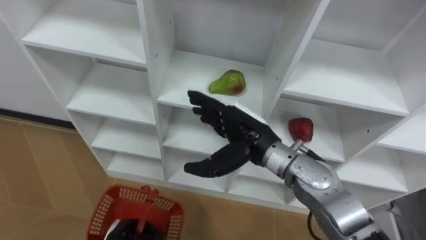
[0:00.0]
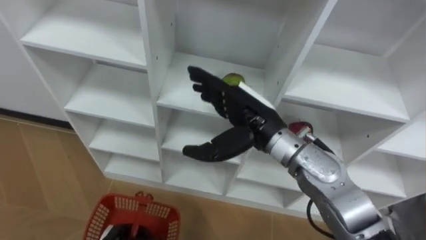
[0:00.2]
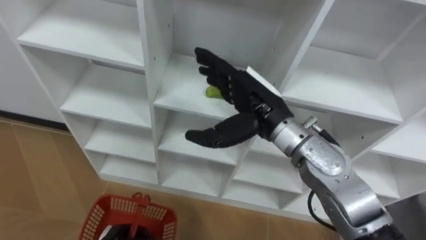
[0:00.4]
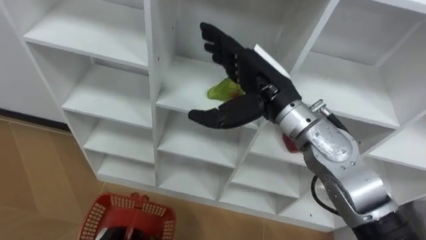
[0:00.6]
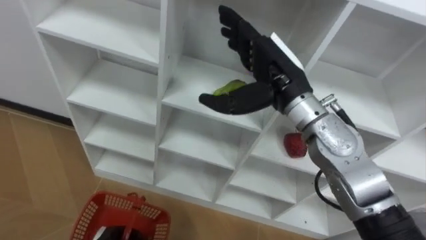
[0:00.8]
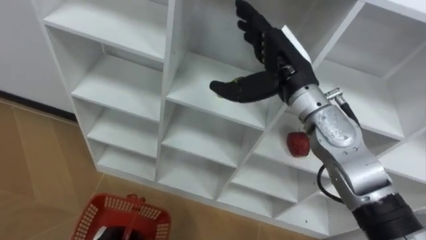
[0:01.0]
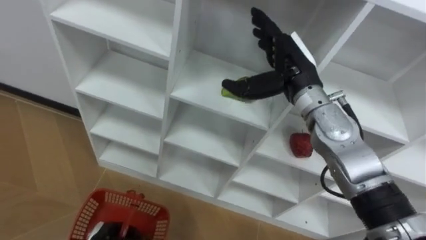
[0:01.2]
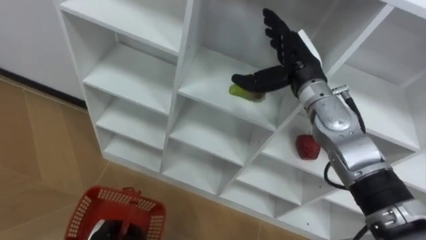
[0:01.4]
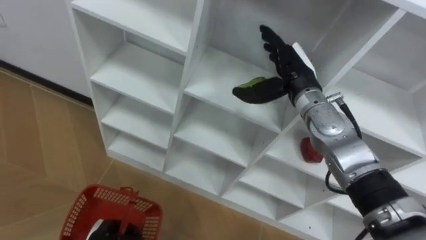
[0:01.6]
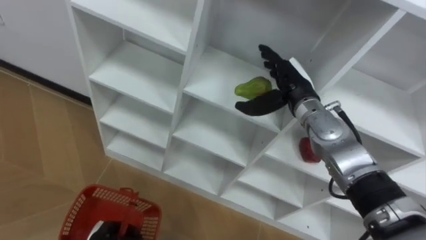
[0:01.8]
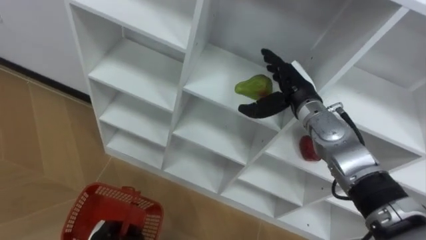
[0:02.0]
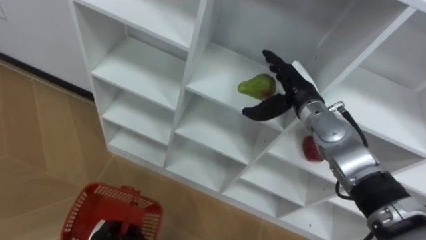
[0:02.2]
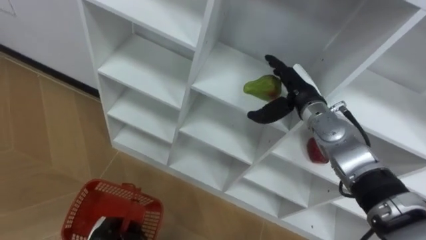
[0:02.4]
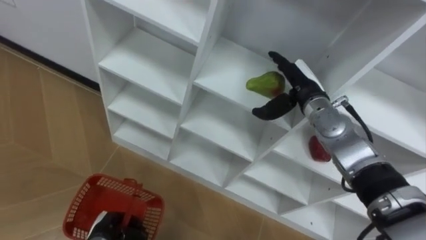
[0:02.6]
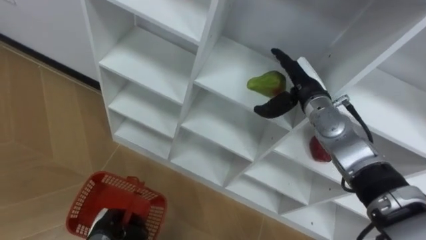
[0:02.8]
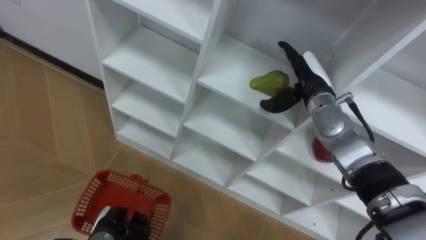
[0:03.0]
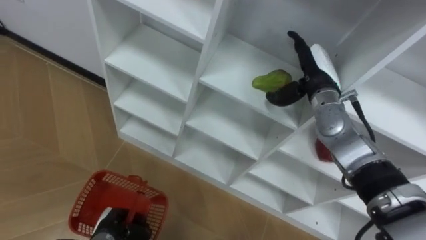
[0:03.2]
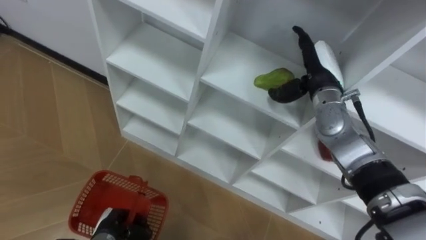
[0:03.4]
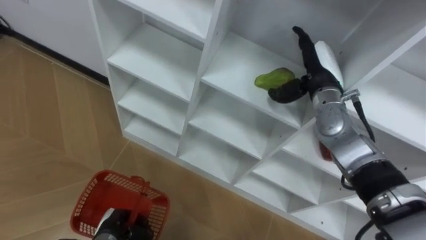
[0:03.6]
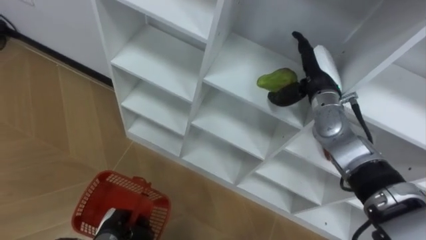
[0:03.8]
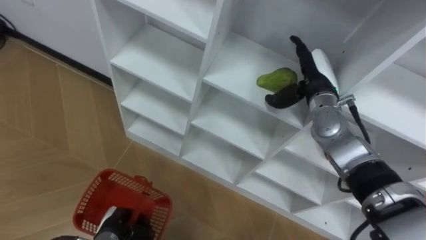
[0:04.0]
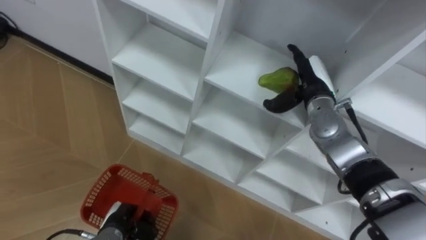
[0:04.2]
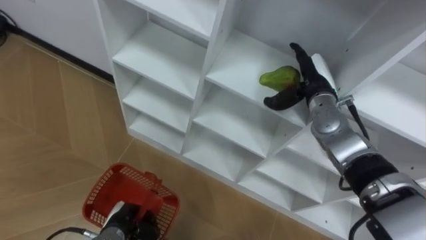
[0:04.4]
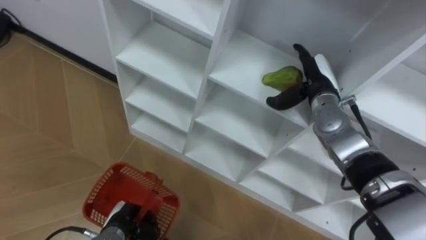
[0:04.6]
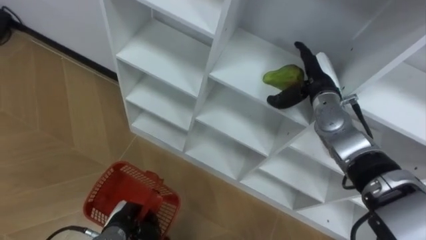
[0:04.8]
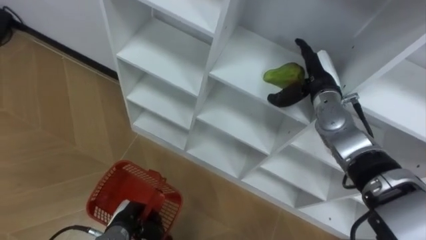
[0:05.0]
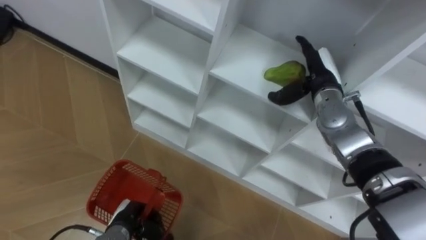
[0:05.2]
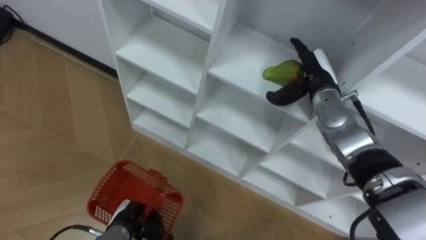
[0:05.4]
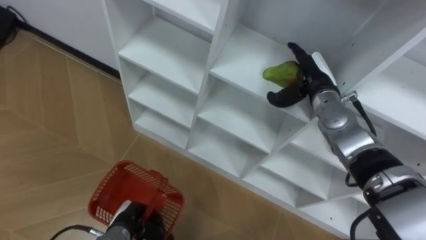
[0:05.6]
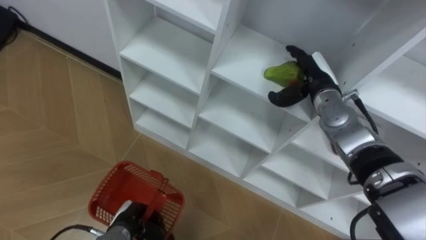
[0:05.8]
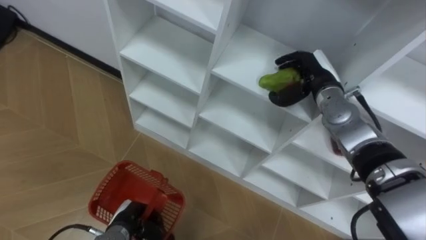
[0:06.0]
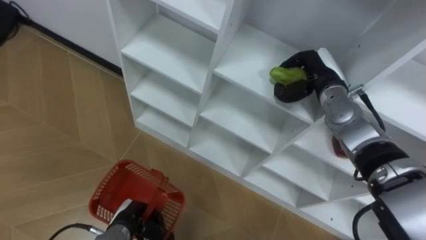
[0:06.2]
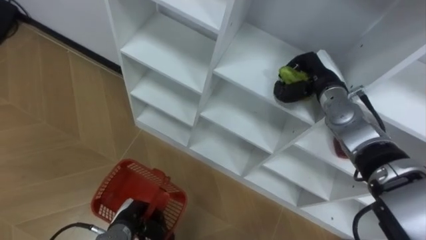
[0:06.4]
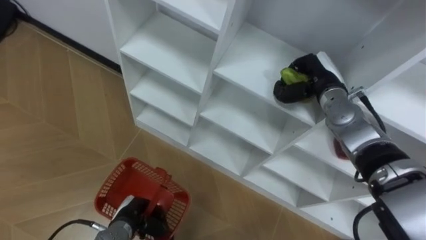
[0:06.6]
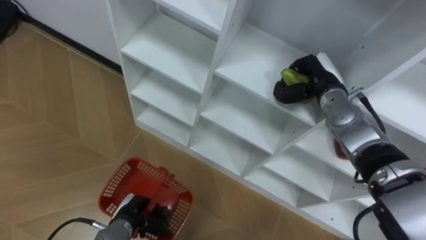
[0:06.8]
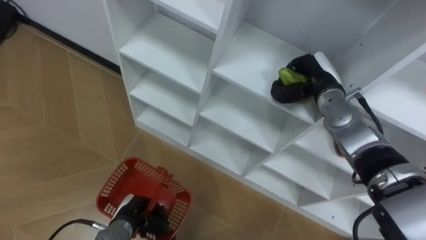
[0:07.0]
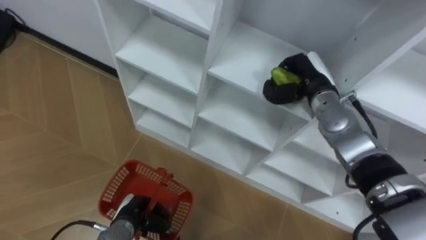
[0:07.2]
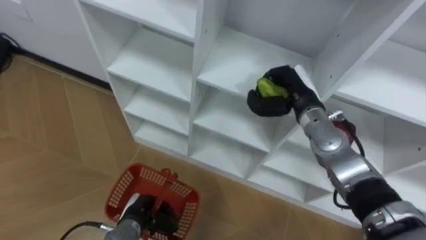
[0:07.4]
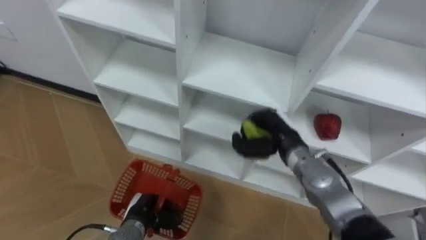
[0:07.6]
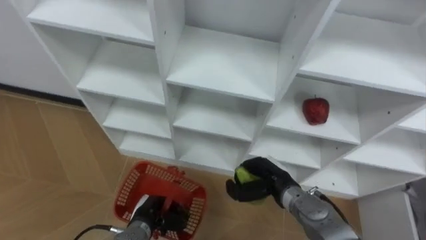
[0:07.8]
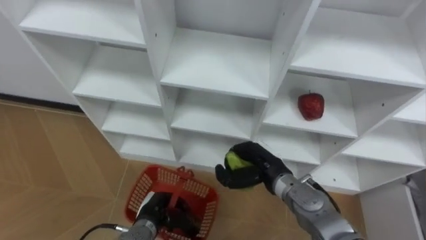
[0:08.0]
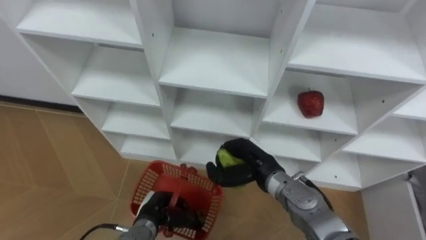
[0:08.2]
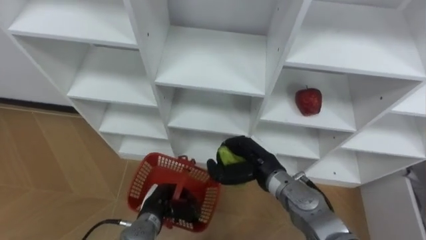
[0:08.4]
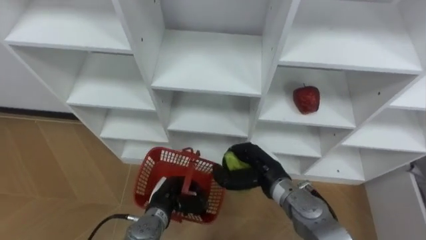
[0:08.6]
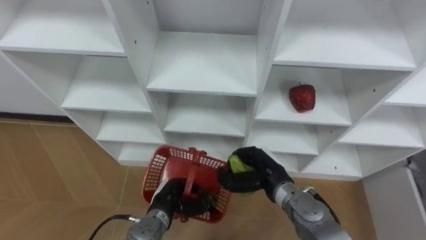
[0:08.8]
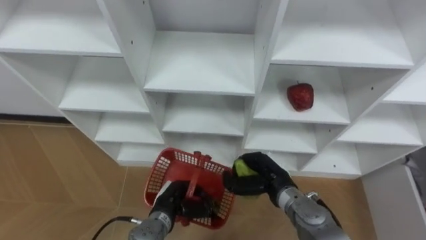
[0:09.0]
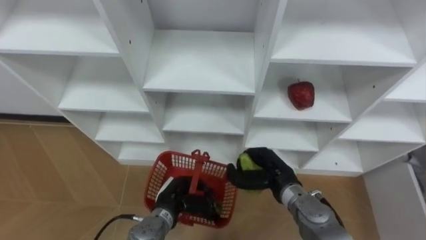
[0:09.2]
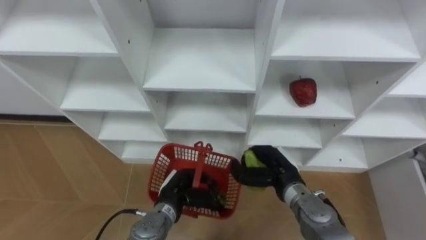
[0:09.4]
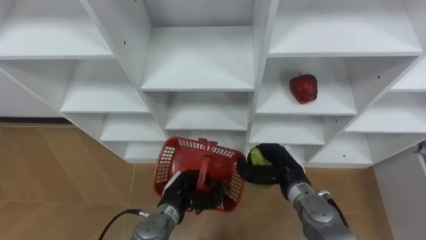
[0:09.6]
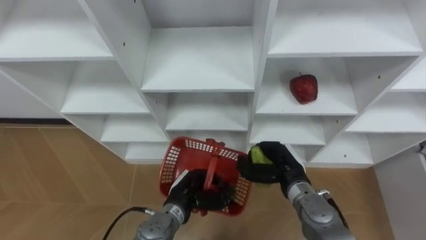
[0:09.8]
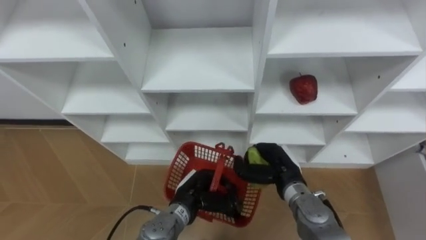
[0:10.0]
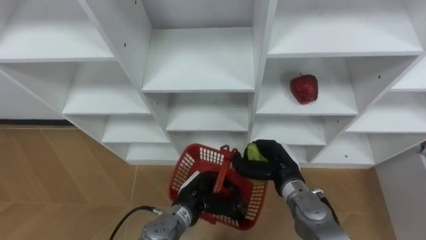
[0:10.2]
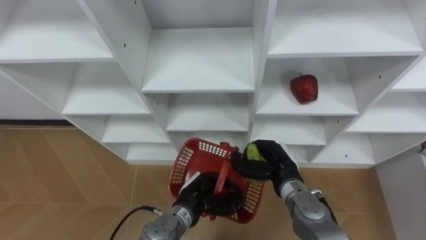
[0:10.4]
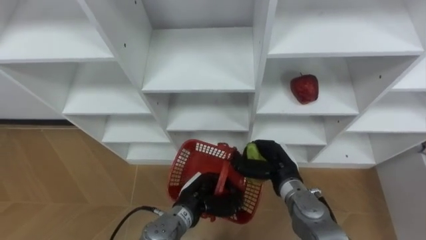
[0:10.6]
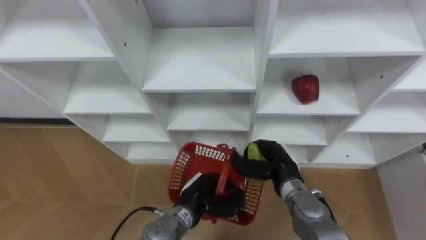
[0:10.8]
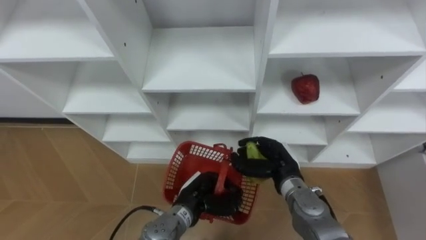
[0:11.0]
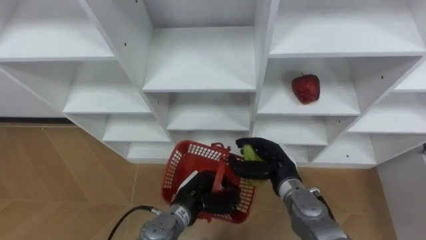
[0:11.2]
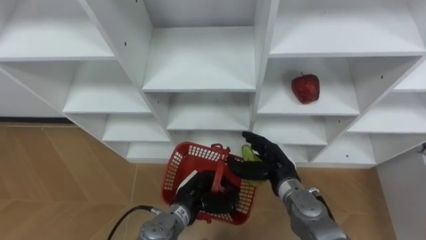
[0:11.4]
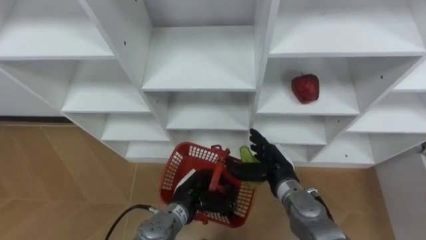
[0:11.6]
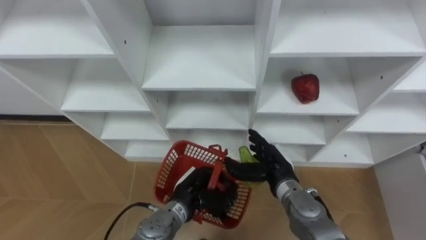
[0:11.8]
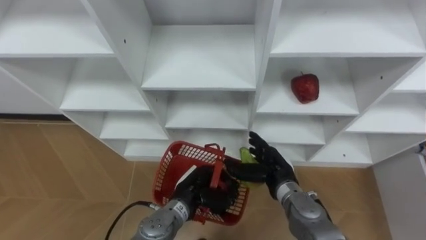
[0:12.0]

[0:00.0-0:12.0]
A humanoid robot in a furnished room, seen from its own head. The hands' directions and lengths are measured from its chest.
Task of the whole recording: Hold the basket and collect the fruits from 3 different cells of the closet into it.
0:00.0 to 0:01.6: The right hand goes about 15 cm forward and to the right.
0:06.0 to 0:07.6: The right hand heads backward, to the left and downward, covering some 10 cm, and closes up.
0:07.6 to 0:09.0: The left hand shifts some 5 cm to the right; the right hand moves up and down over some 10 cm, changing direction 2 times.
0:09.0 to 0:10.4: The left hand is displaced to the right by approximately 5 cm.
0:10.4 to 0:12.0: The right hand opens its fingers.

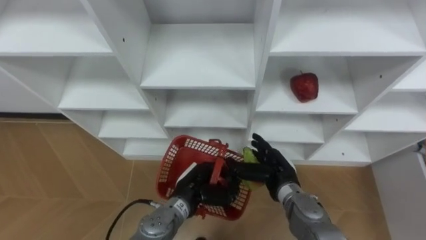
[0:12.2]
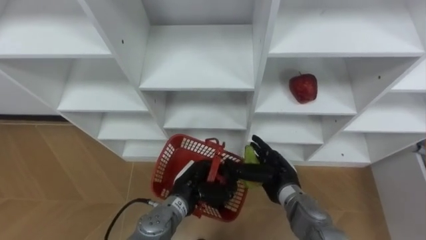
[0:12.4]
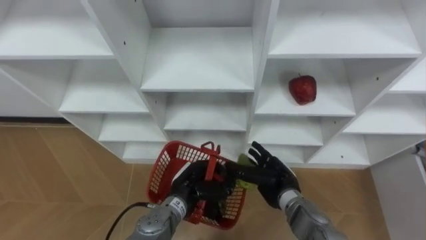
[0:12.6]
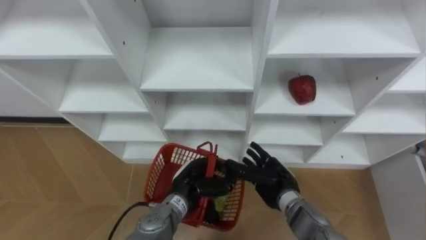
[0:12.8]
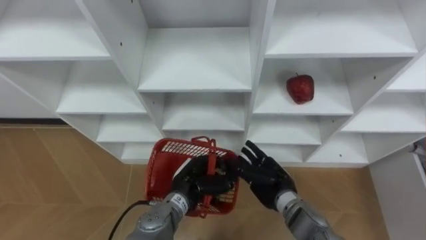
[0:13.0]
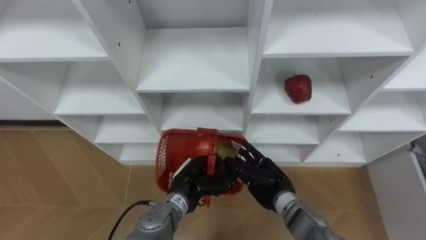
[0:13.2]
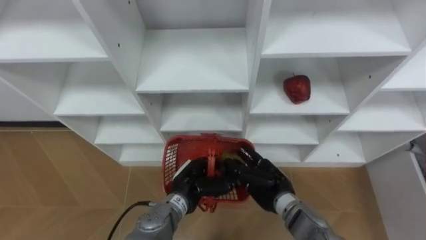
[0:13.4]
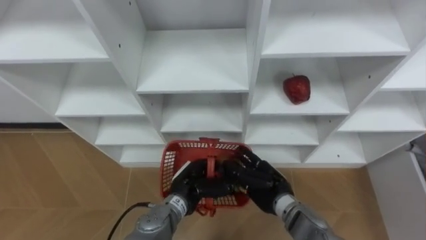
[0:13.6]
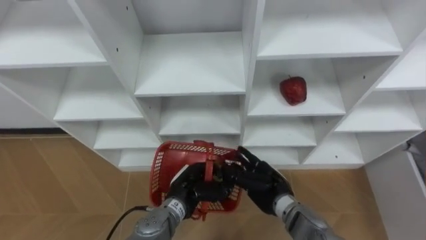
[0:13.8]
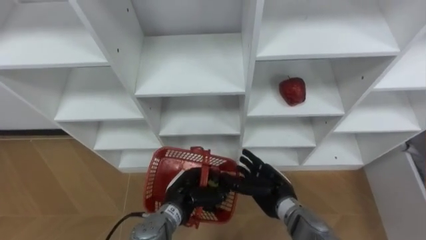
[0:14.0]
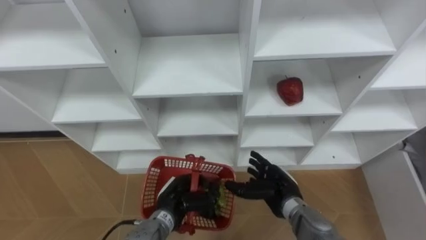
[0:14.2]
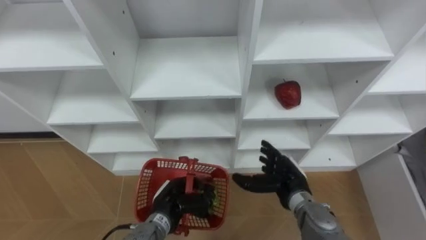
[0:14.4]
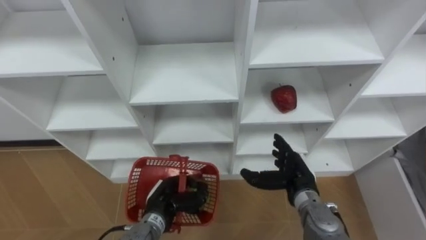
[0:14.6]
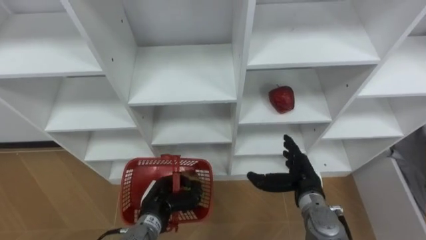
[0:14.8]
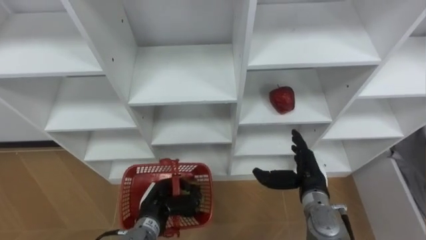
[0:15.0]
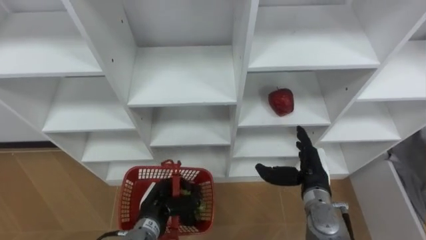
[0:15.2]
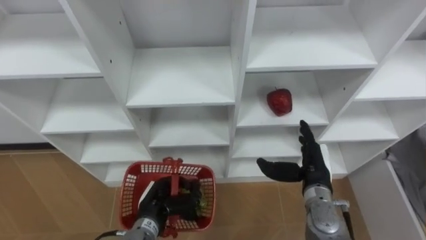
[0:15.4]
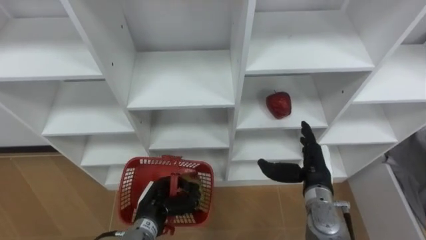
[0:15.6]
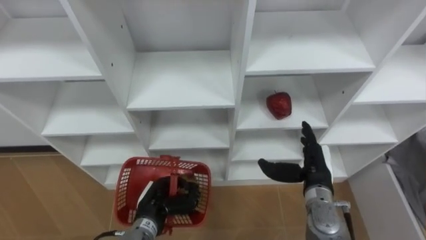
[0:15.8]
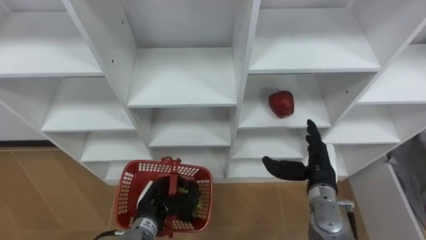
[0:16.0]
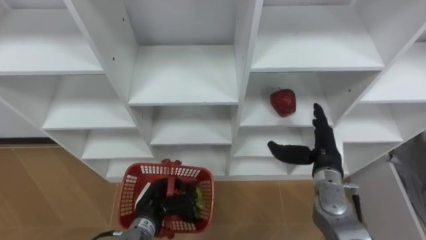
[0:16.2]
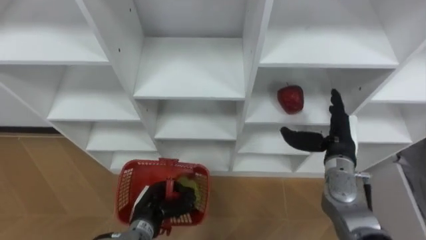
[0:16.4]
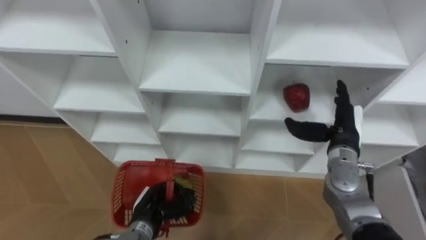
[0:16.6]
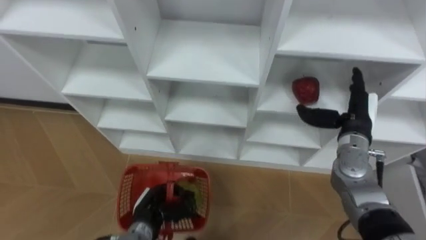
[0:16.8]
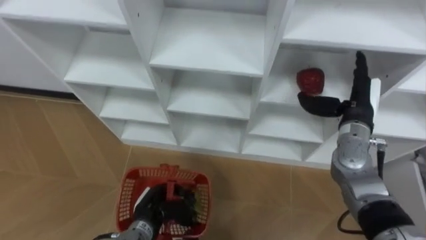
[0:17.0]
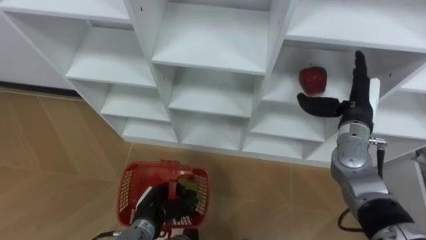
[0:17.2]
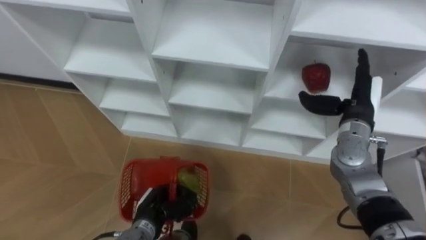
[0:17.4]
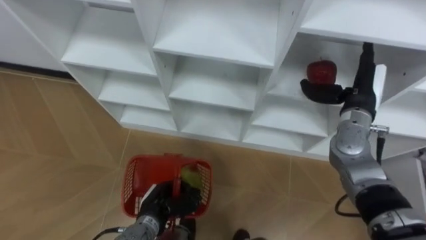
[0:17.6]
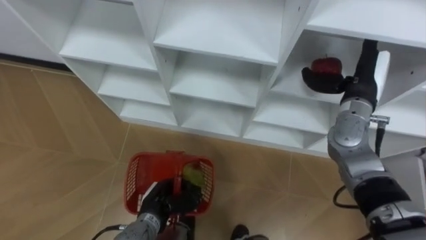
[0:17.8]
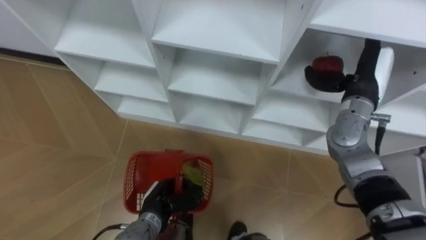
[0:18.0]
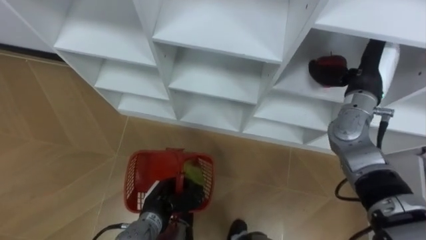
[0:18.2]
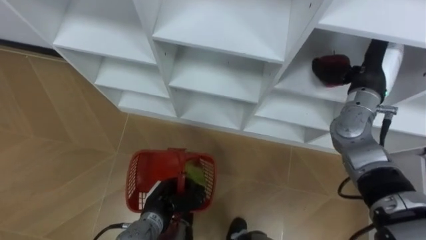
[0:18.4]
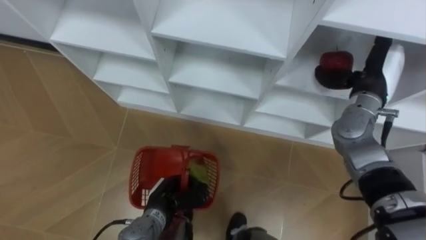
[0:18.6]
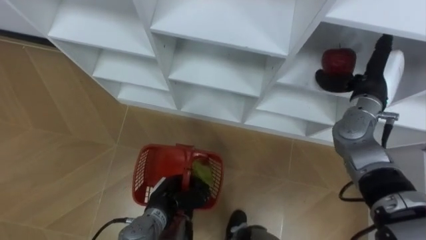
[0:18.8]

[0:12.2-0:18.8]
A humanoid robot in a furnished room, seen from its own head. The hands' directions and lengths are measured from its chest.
Task of the whole recording: Hold the basket and collect the fruits from 3 different cells of the closet into it.
0:13.8 to 0:15.4: The right hand moves to the right, about 10 cm. The left hand travels to the left by some 5 cm.
0:15.4 to 0:17.2: The right hand travels upward, forward and to the right by some 15 cm.
0:17.2 to 0:18.8: The right hand moves approximately 5 cm.
